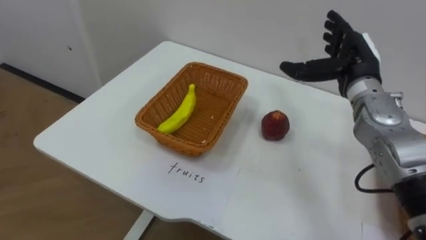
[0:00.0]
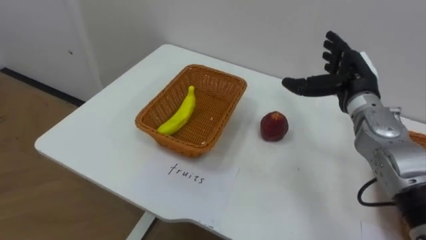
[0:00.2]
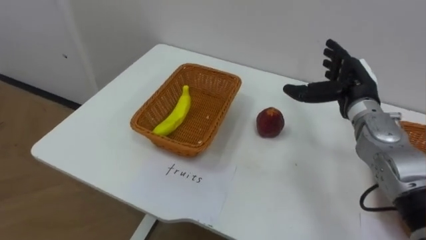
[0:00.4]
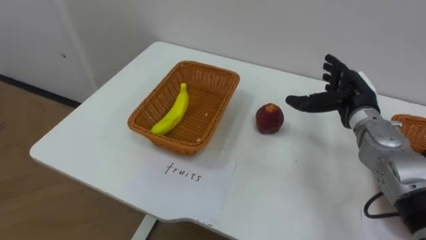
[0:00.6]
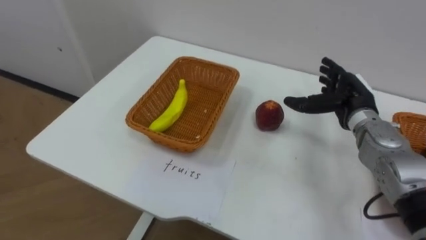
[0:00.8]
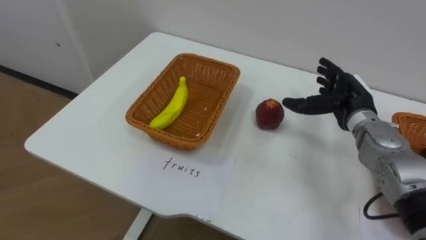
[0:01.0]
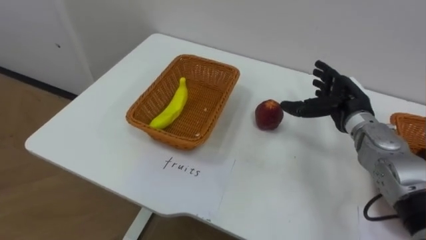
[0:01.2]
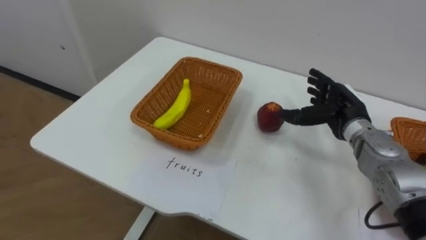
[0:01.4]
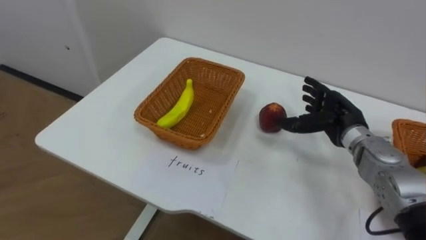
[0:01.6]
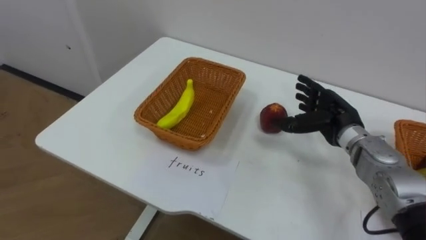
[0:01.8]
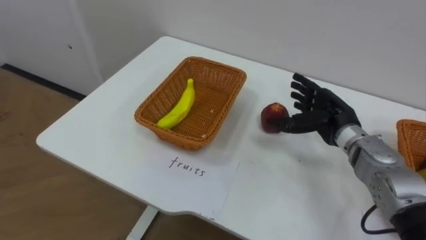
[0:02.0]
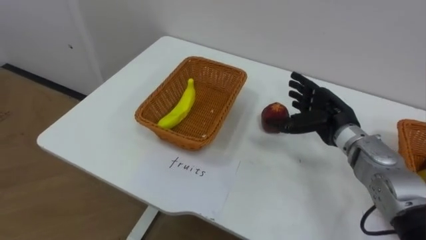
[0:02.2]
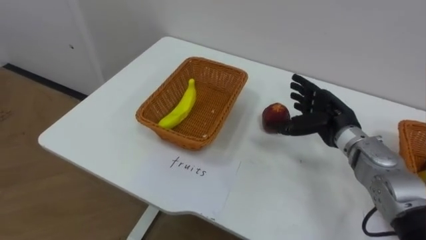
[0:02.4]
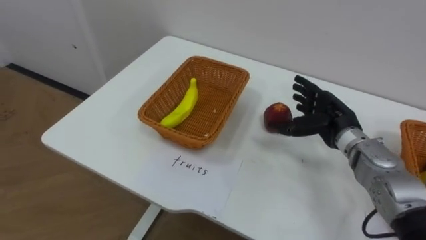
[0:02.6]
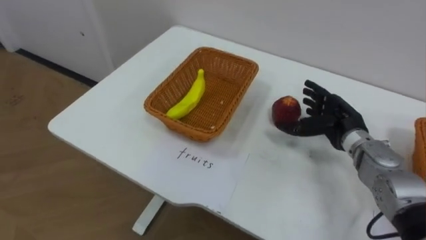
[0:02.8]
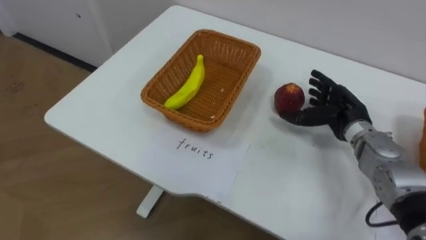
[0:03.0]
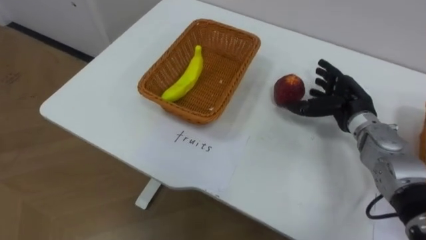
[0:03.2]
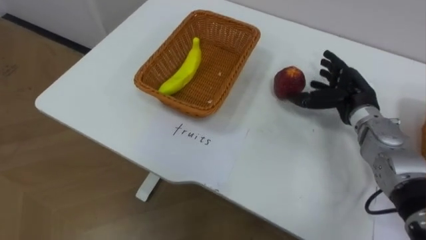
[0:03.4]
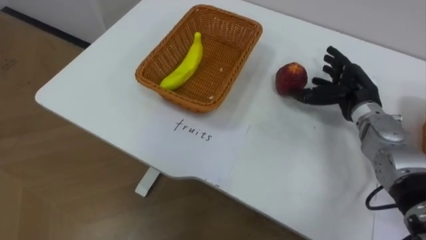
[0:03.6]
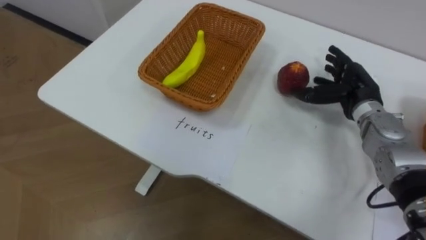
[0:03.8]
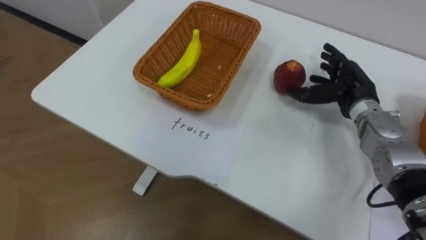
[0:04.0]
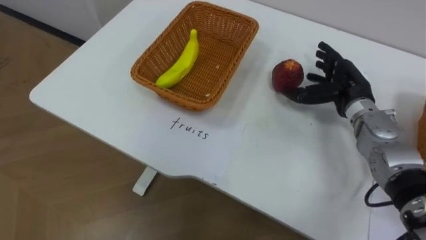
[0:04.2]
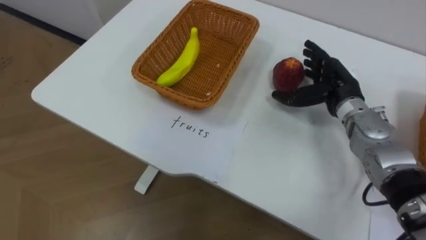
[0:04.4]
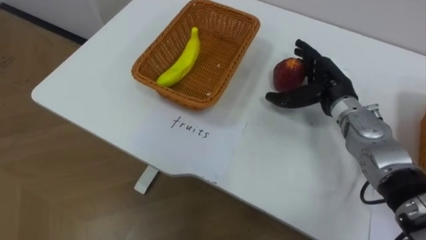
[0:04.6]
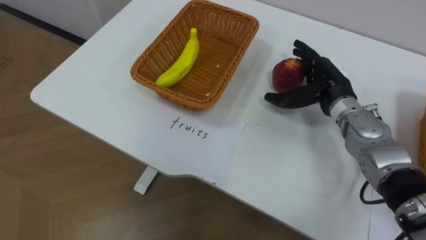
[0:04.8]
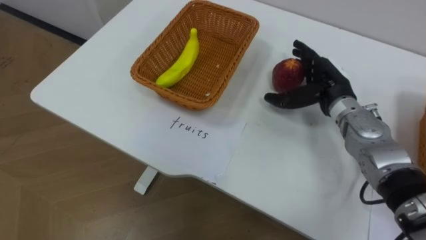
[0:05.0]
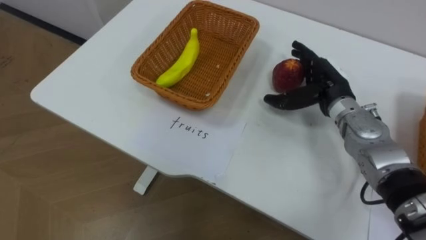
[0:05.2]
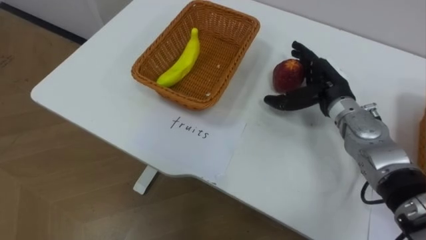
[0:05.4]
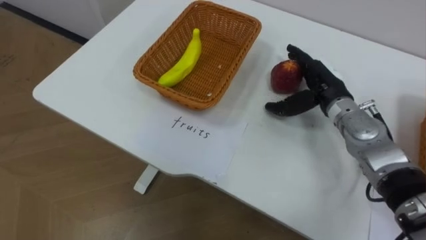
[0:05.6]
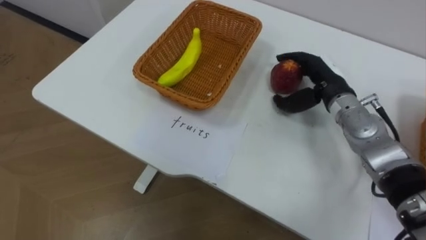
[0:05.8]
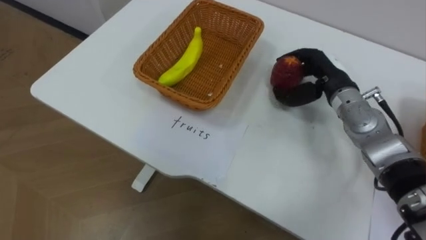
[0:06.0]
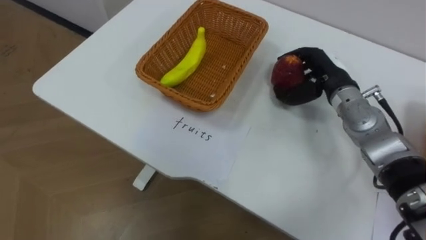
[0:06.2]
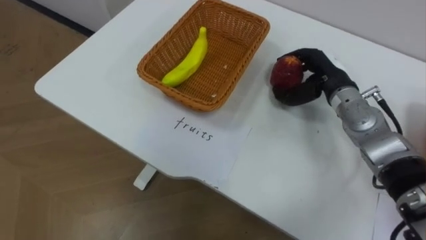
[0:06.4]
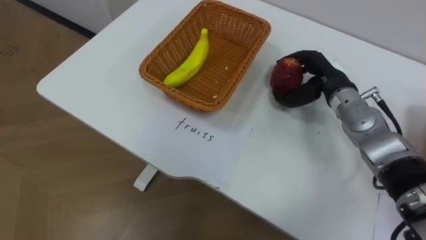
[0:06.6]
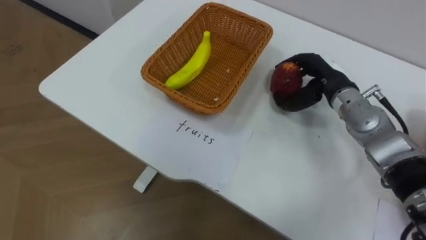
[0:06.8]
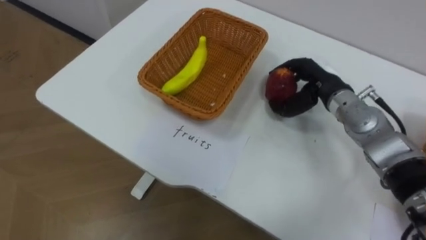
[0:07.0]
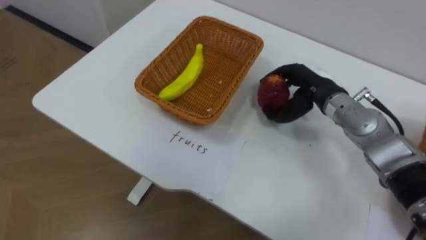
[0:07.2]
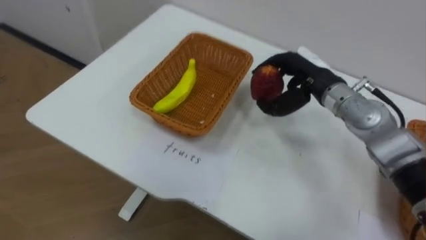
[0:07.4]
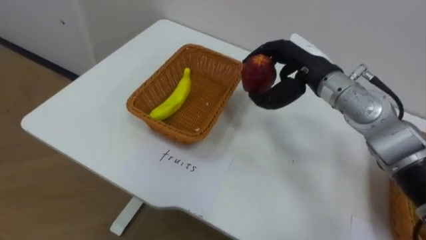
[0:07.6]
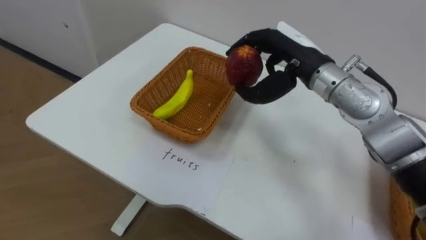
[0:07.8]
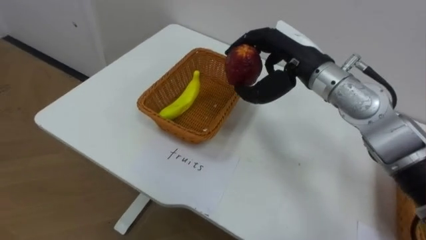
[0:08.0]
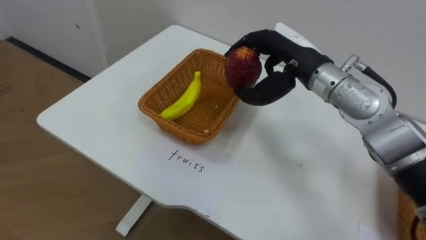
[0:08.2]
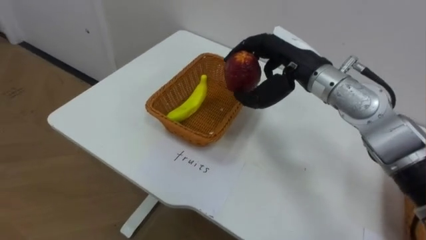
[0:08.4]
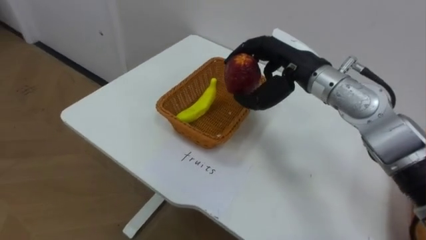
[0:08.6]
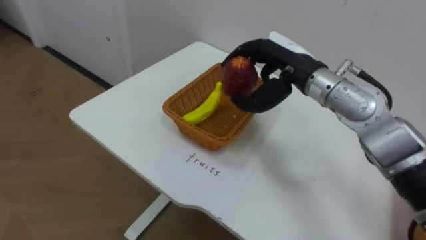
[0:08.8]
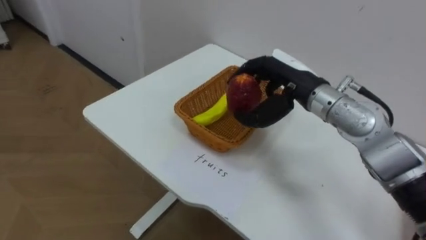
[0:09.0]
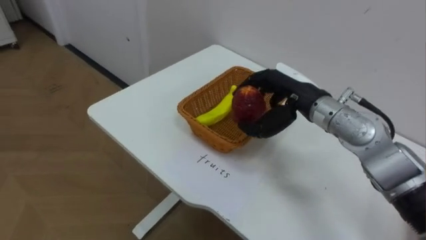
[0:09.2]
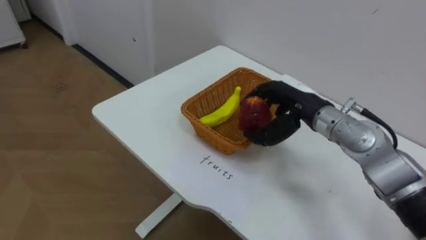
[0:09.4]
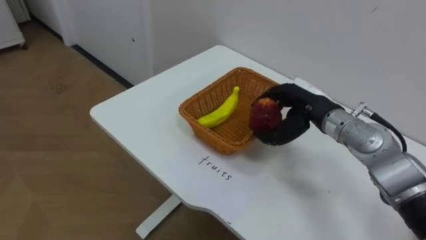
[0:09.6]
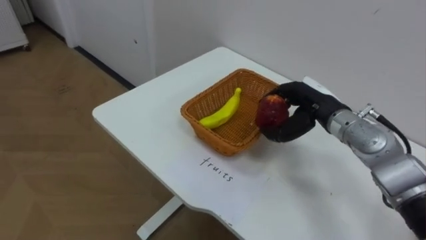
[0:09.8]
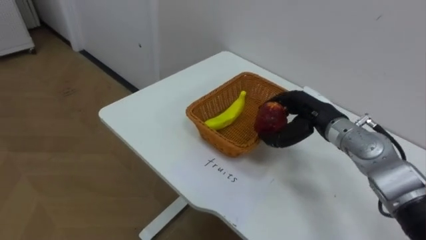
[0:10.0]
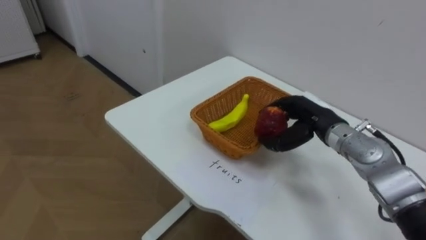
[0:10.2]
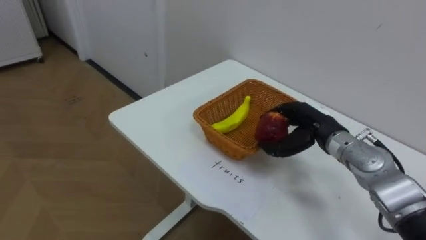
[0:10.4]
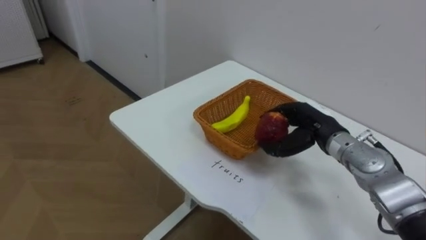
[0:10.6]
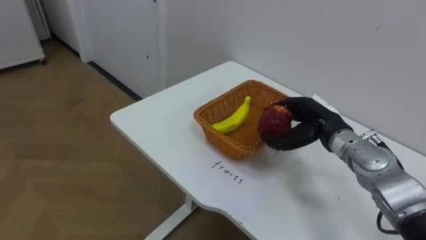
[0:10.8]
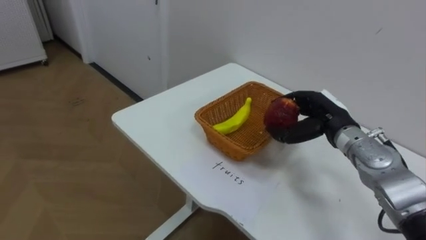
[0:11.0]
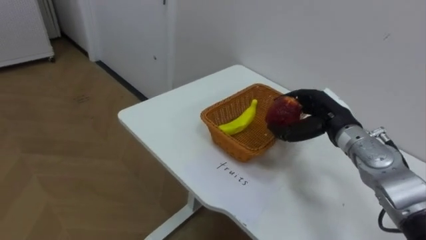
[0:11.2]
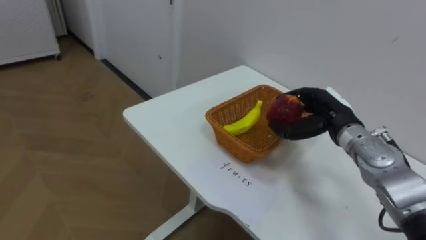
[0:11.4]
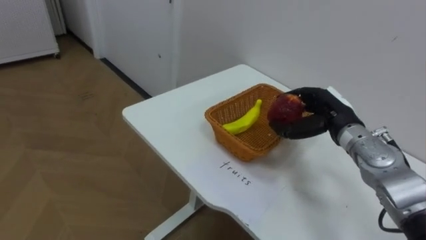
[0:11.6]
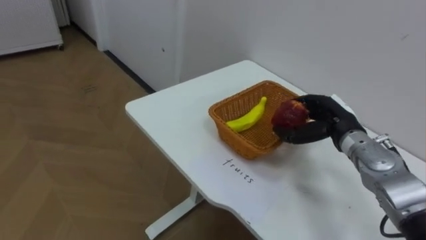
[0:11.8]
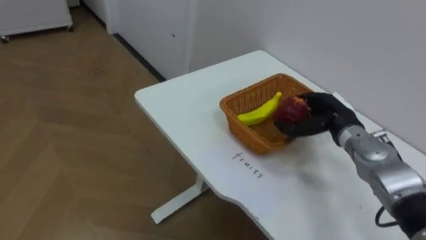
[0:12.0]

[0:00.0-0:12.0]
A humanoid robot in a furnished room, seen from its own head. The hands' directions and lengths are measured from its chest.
Task of the whole recording: Separate the items on the table and place them into the two baskets.
0:00.0 to 0:01.6: The right hand is displaced downward by approximately 10 cm.
0:03.0 to 0:04.4: The right hand moves approximately 5 cm.
0:04.4 to 0:06.0: The right hand closes.
0:06.0 to 0:07.6: The right hand shifts by approximately 5 cm.
0:09.0 to 0:10.4: The right hand moves downward and to the right, some 10 cm.

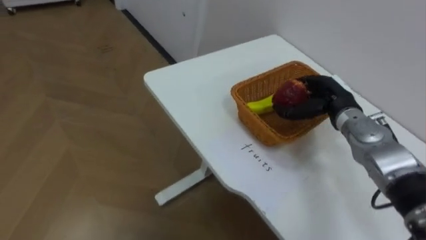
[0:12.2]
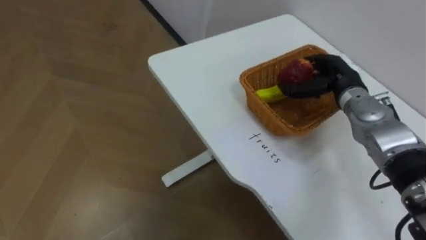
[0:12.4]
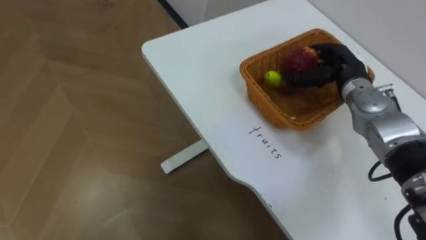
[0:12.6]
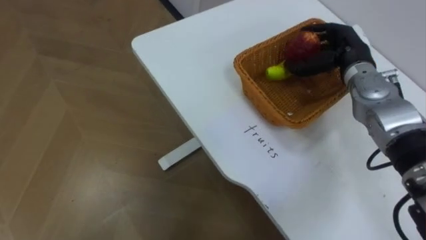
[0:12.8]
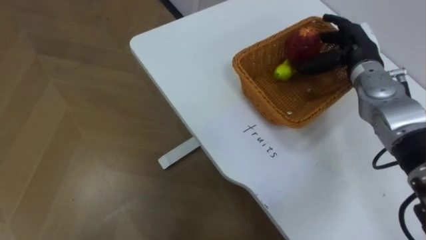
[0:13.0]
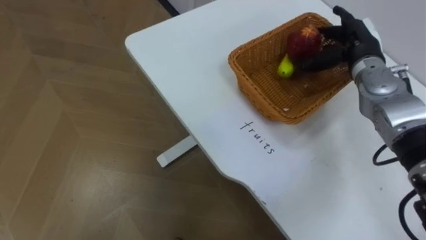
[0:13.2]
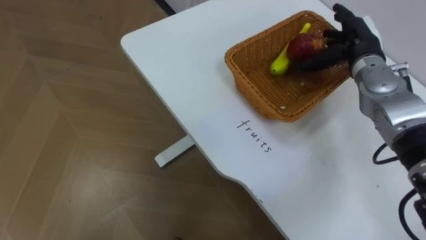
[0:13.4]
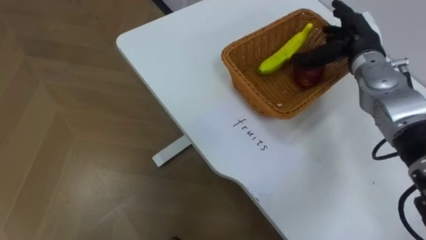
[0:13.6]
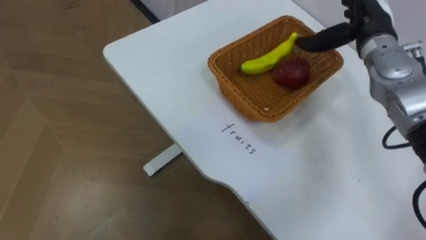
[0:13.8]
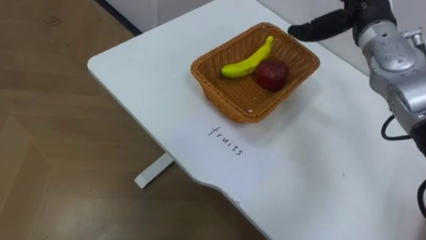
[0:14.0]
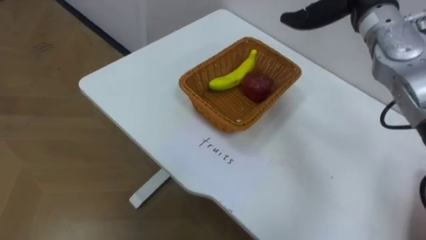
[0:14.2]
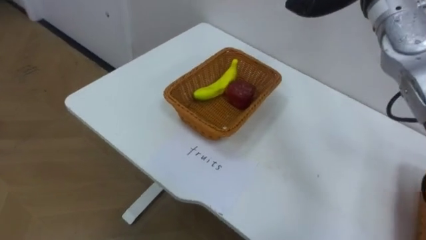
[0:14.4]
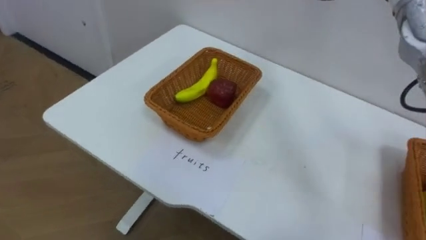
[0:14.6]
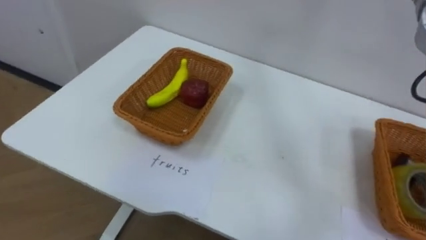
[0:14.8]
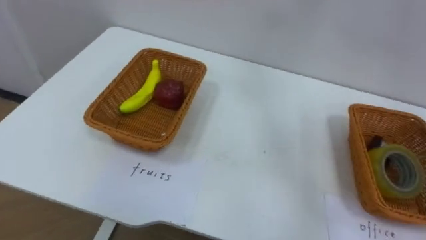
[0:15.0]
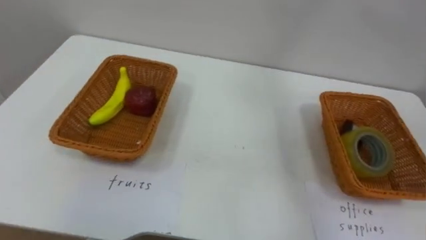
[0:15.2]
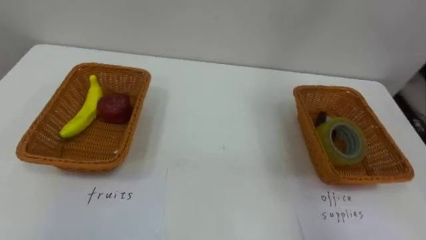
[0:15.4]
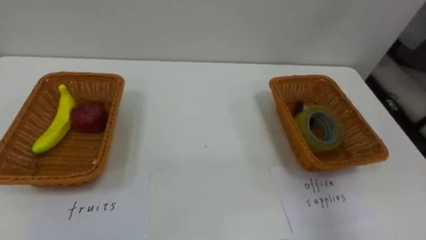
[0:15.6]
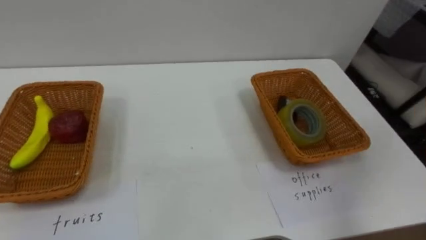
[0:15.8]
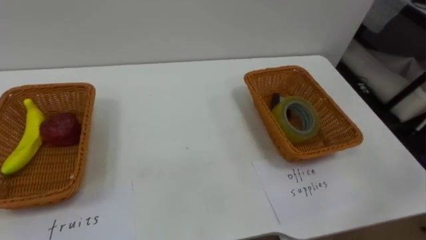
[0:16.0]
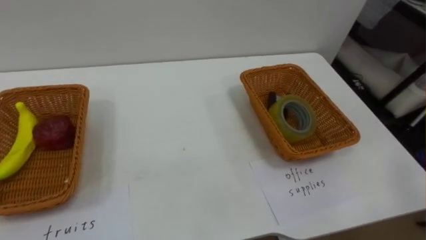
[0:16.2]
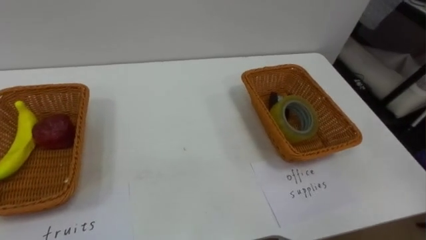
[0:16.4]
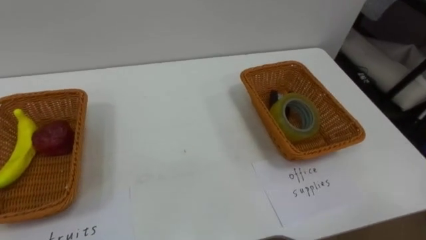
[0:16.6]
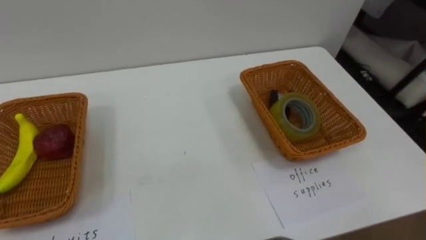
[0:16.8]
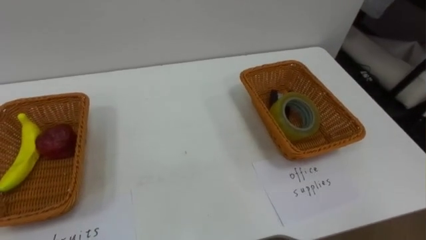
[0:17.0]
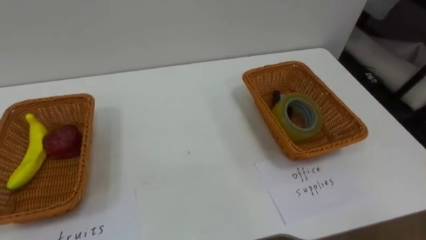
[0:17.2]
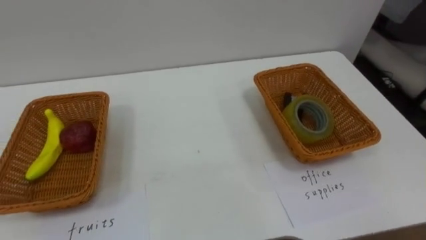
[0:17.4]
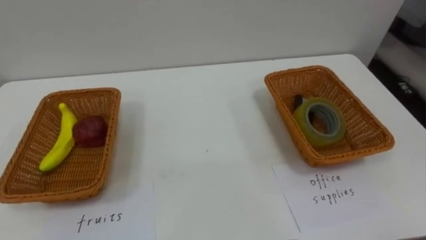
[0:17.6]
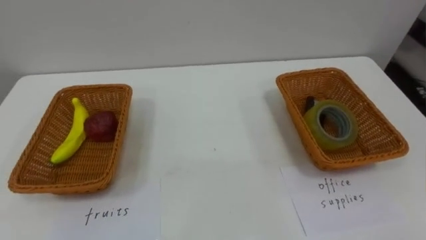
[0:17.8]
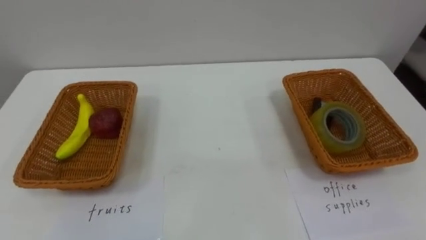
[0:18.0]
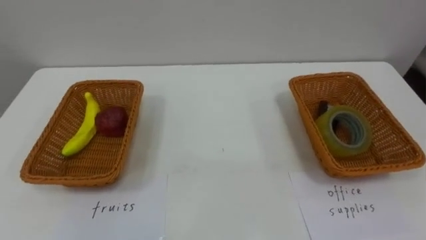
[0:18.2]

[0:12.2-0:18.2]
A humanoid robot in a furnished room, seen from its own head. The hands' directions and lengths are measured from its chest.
Task of the whole recording: Separate the items on the table and place them into the two baskets.
0:12.2 to 0:13.8: The right hand travels upward and forward by approximately 15 cm, and opens.
